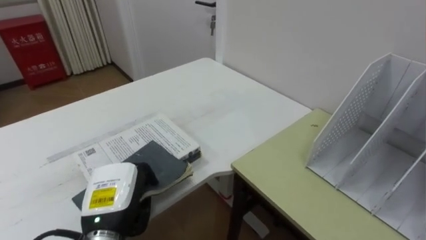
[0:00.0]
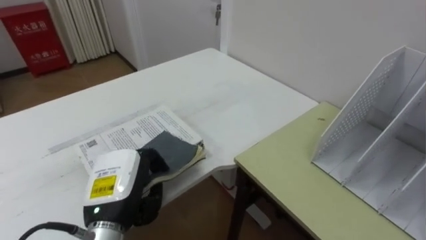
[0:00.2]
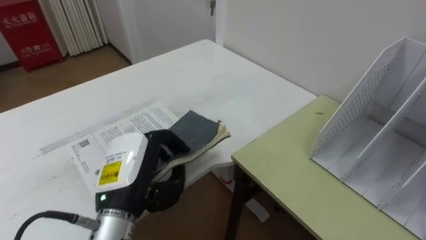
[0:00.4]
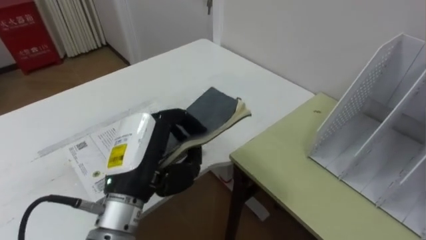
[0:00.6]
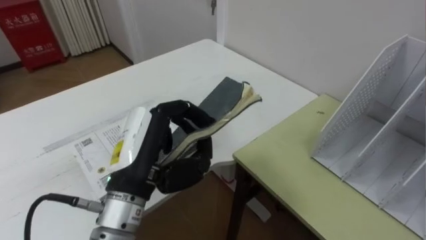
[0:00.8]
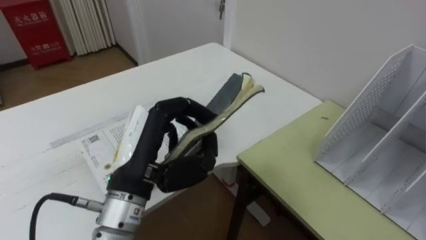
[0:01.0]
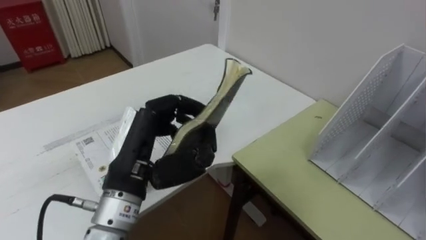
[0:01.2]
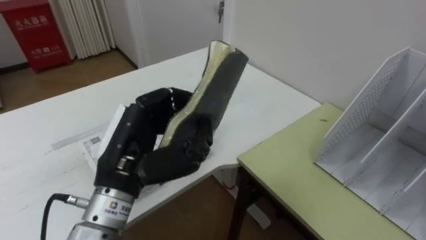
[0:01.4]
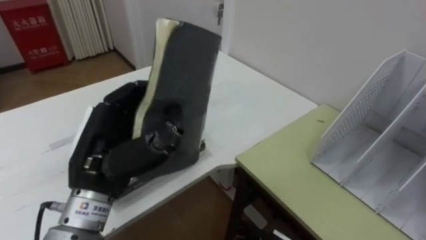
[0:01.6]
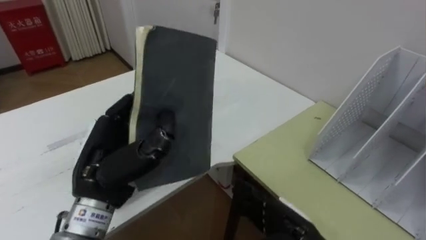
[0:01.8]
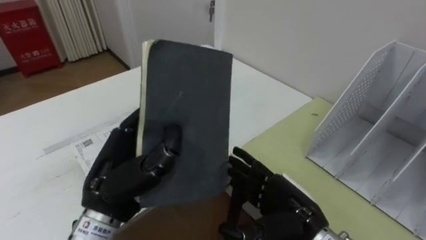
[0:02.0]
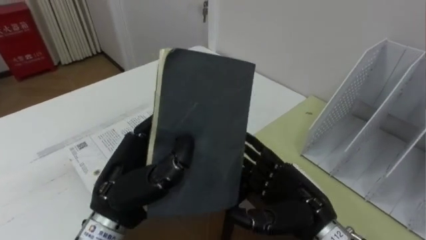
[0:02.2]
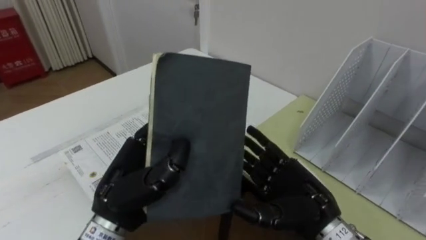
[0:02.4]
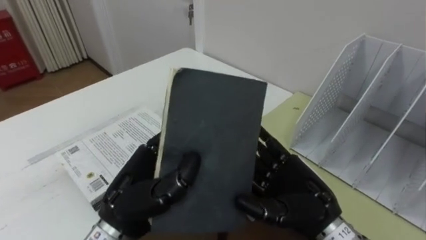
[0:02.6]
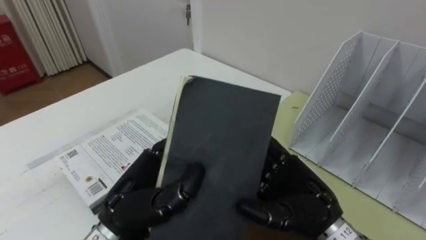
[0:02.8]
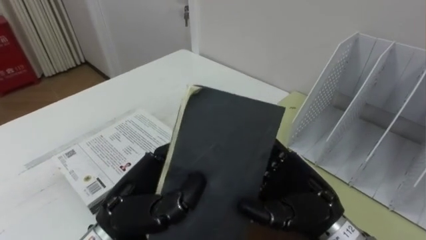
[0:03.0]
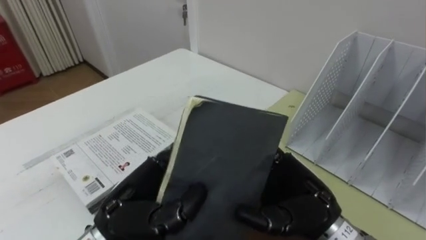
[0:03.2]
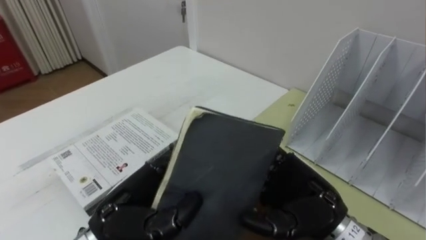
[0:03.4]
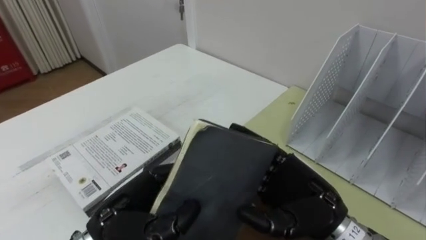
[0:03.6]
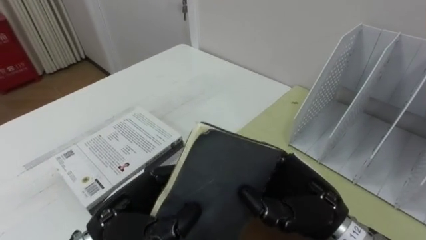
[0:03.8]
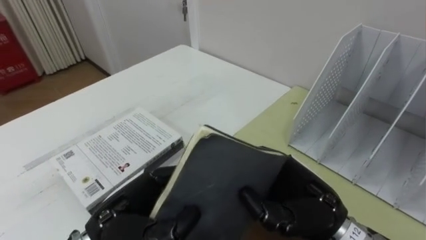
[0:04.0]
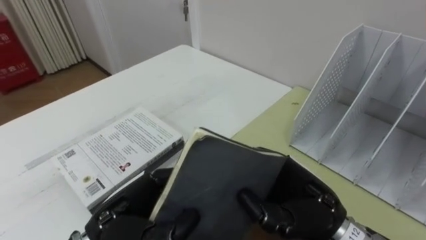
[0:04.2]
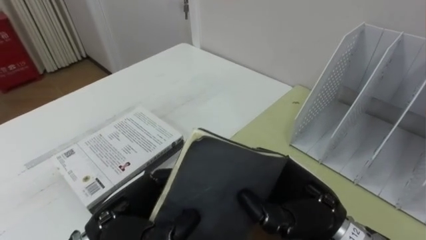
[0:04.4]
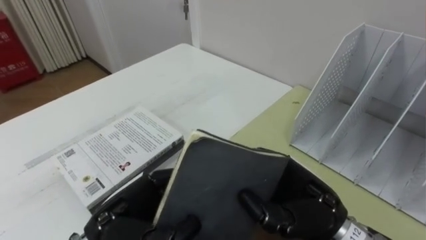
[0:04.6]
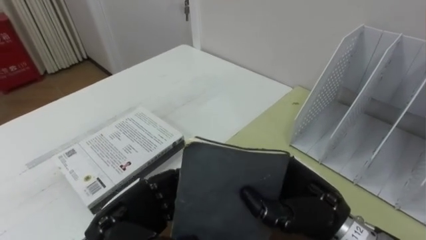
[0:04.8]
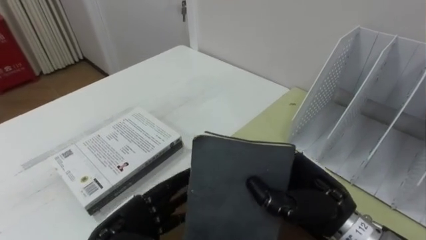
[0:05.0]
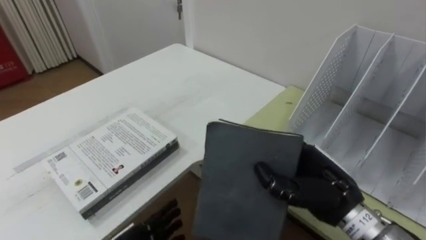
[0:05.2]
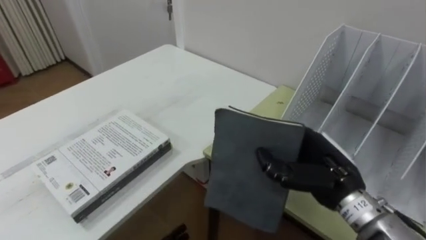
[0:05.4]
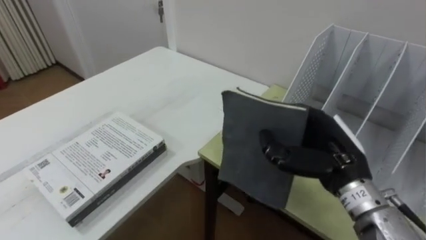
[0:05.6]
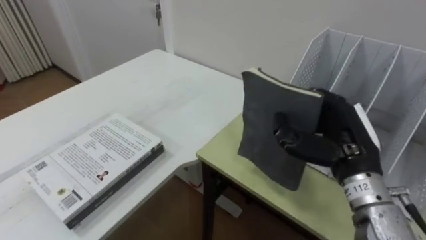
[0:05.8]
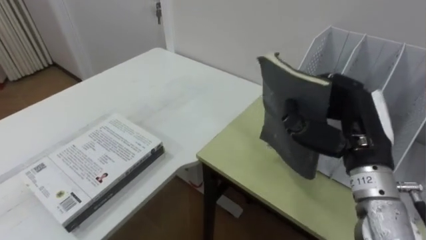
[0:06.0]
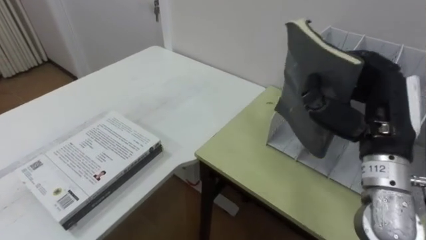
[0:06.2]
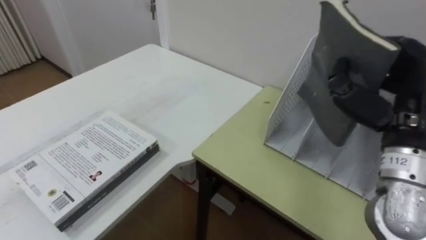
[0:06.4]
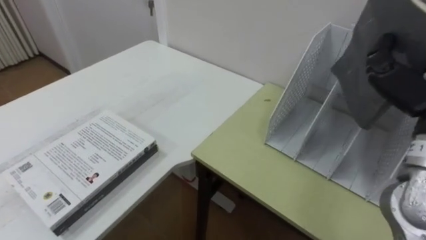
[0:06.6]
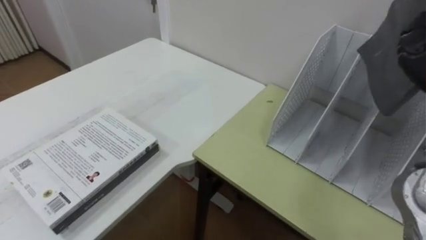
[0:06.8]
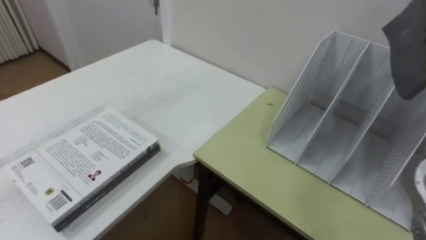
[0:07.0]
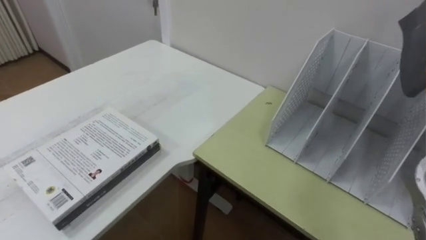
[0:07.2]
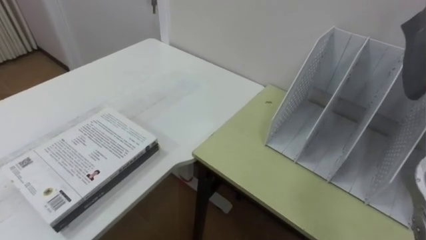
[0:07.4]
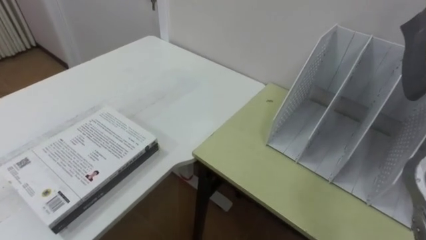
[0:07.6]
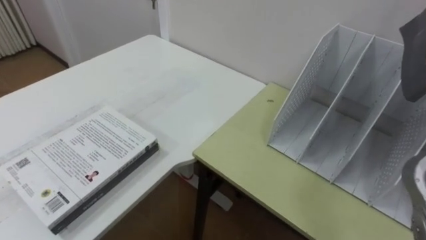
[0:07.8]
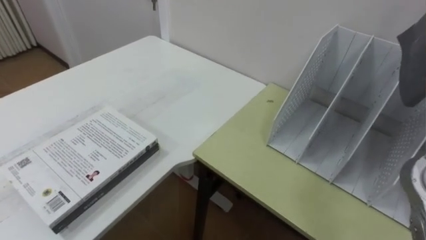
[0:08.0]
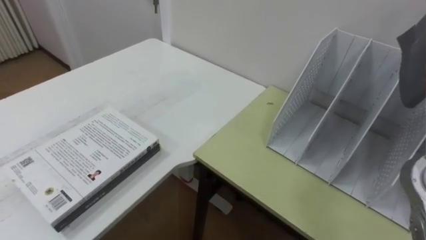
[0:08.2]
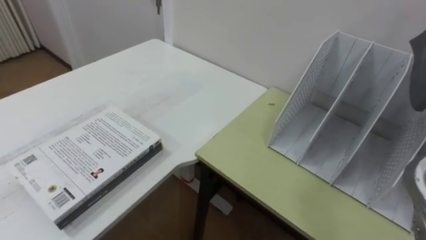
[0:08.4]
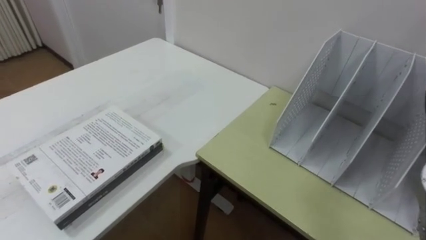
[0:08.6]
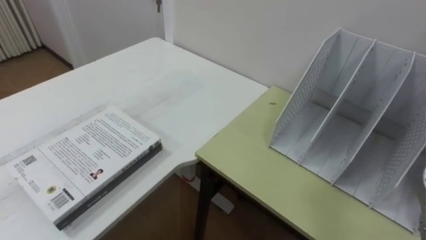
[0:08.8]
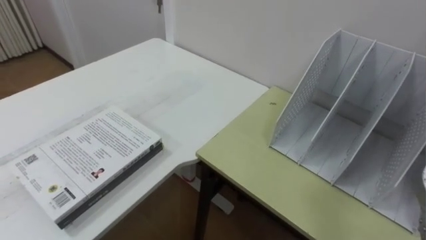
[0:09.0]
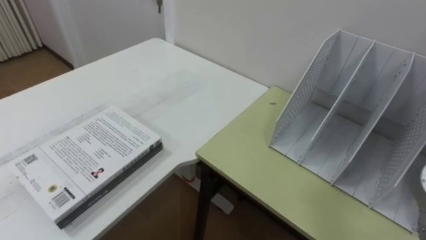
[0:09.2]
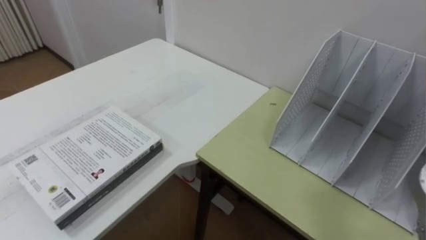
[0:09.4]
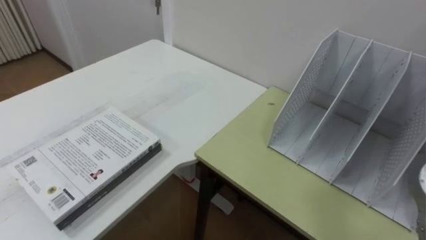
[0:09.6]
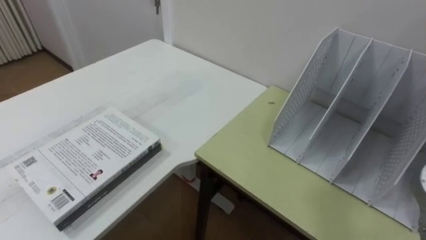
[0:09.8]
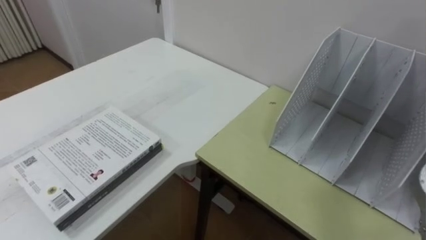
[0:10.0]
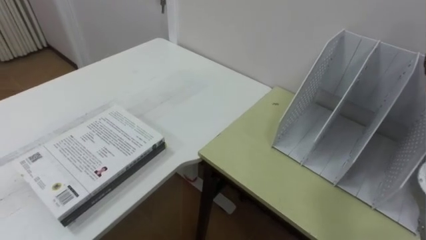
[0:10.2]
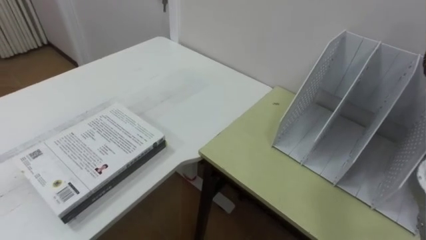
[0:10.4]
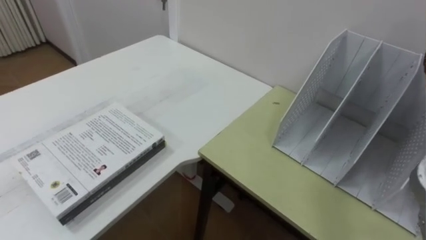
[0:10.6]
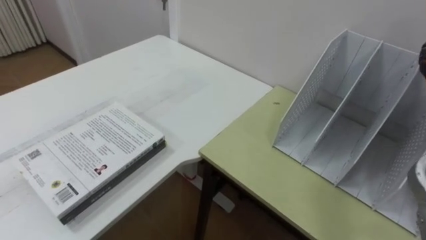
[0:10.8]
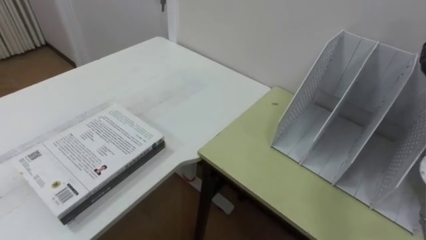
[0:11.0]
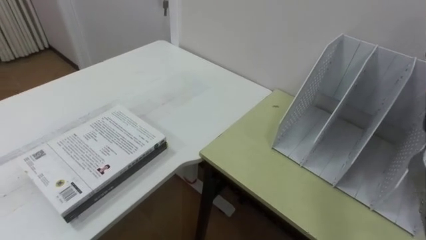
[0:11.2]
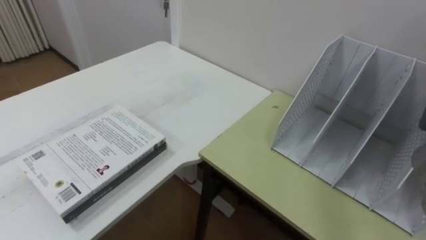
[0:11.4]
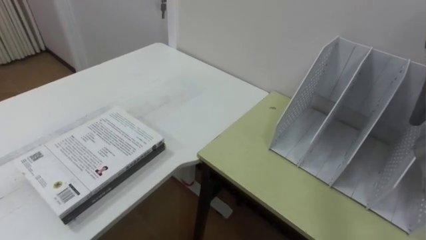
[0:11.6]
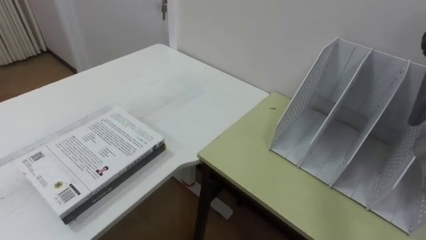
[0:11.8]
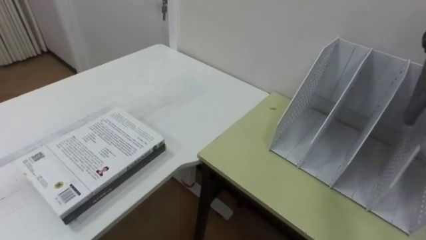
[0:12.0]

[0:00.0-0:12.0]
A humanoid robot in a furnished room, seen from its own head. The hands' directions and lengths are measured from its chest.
Task of the whole recording: Put the books on the table onto the bookshelf.
0:00.0 to 0:01.6: The left hand shifts approximately 10 cm upward.
0:01.6 to 0:03.0: The left hand travels downward by some 5 cm.
0:03.0 to 0:04.4: The right hand closes.
0:04.4 to 0:06.0: The right hand moves to the right, upward and forward, some 10 cm.

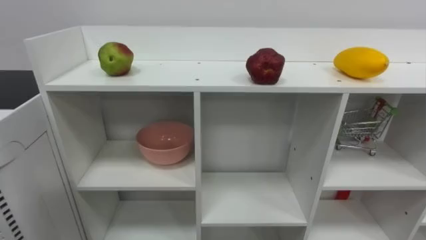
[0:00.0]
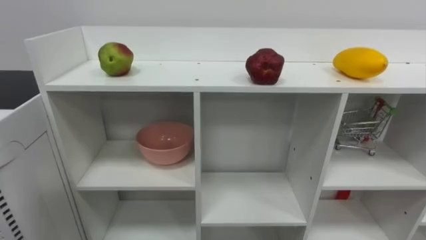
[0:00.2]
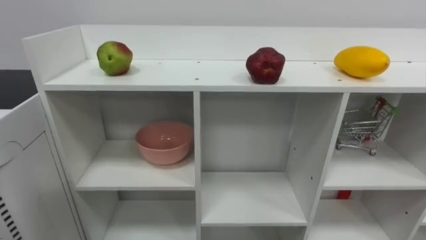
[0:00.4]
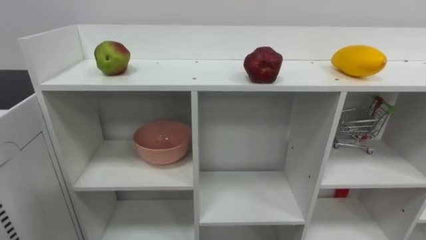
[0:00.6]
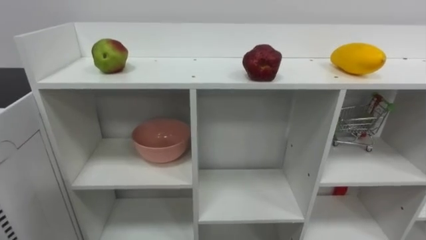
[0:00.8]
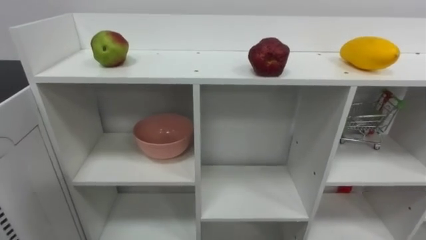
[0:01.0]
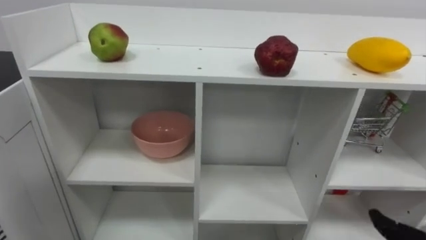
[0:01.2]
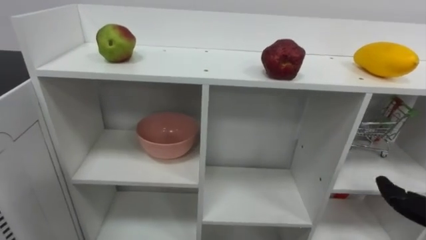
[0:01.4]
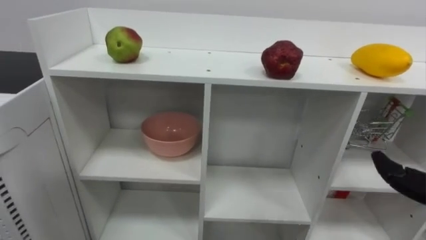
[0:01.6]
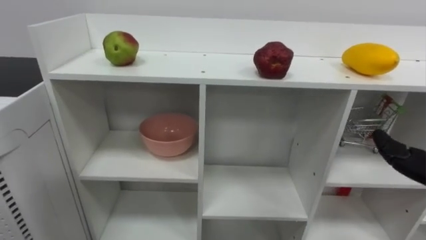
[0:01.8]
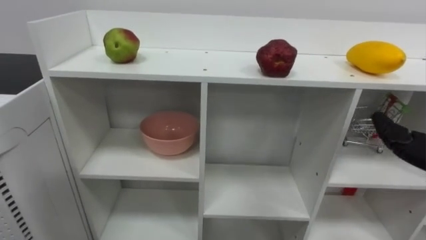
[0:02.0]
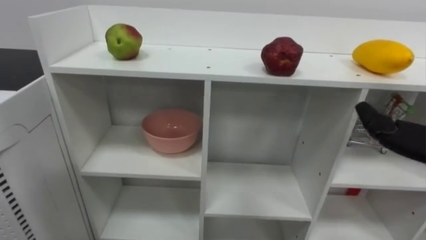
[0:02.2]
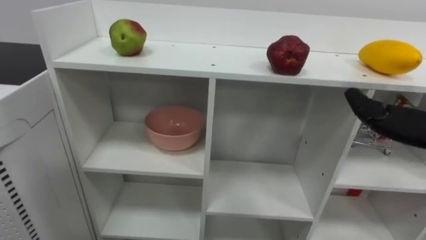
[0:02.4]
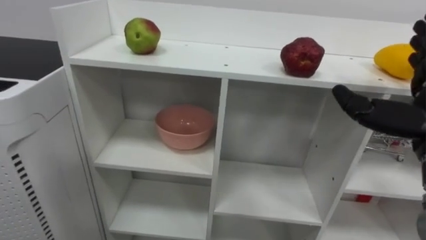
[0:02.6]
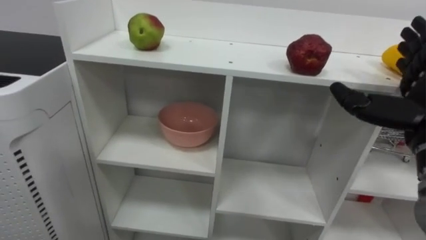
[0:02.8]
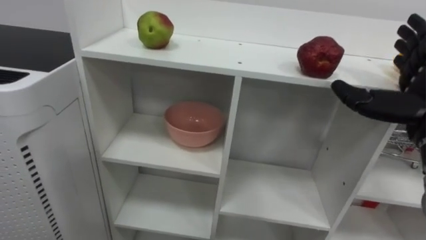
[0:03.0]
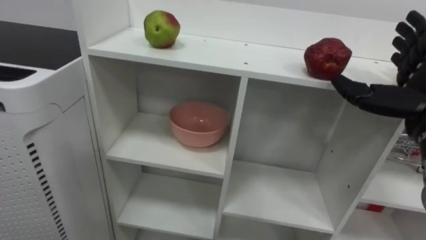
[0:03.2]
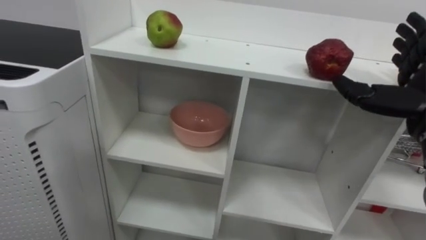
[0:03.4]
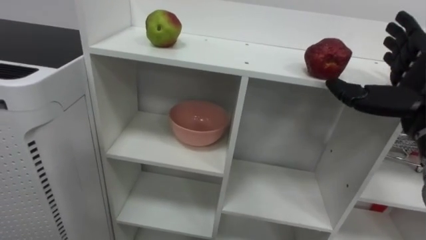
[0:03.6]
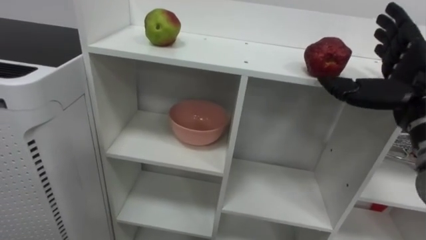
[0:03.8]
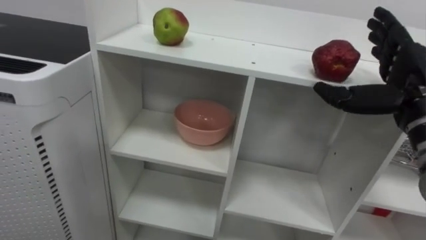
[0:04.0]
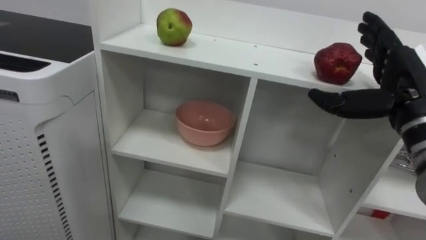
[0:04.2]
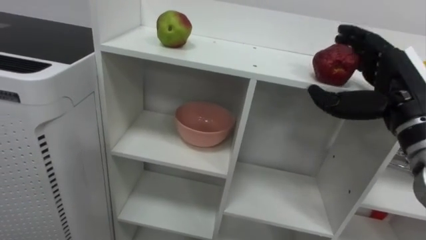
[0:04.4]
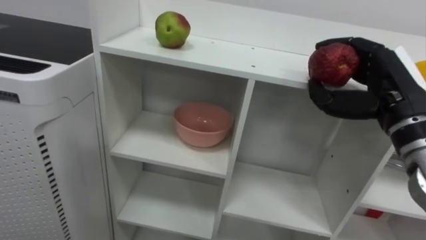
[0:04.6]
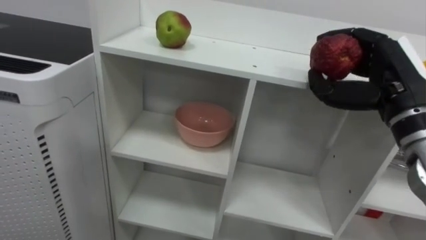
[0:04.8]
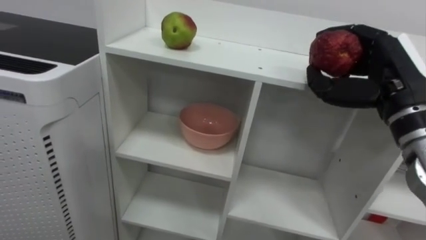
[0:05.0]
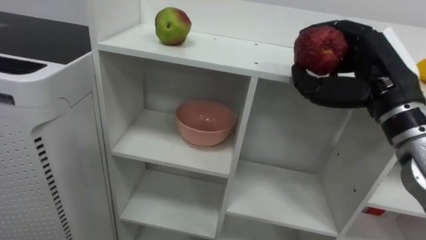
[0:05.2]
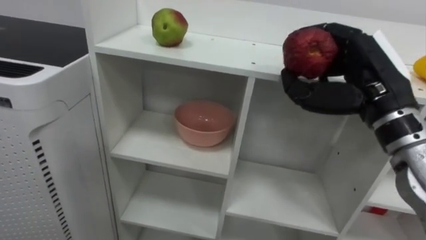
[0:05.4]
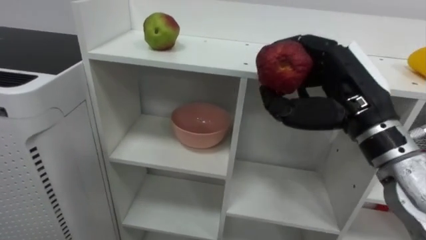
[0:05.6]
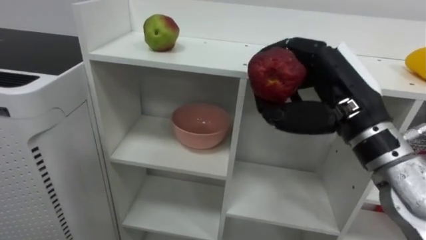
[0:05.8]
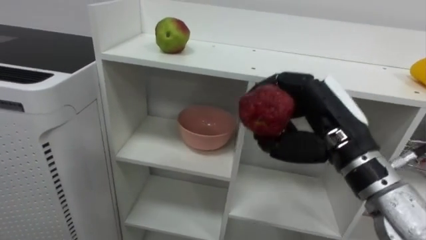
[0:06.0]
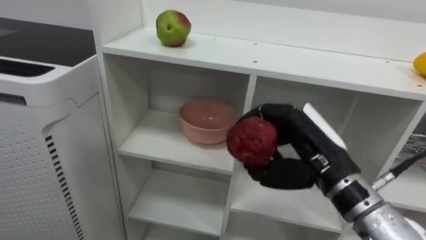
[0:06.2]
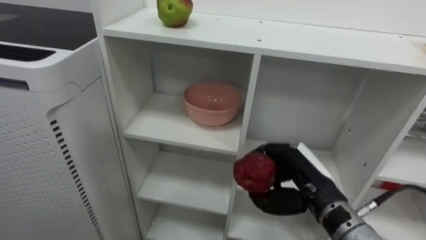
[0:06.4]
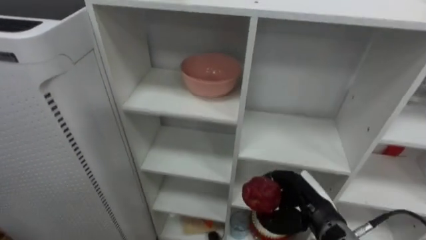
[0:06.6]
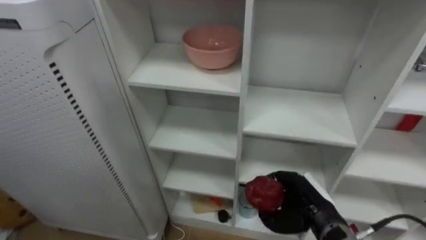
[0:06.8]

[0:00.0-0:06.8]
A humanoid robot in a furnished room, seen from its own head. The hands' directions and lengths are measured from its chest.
Task of the whole recording: Put the apple in the cell in the second column from the left and the second row from the top.
0:04.0 to 0:05.4: The right hand is displaced to the left by approximately 5 cm, and closes.
0:05.4 to 0:06.8: The right hand is displaced downward by roughly 25 cm.
